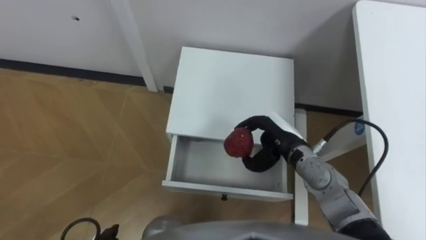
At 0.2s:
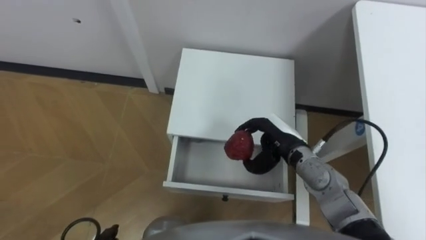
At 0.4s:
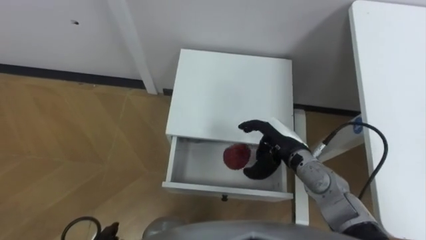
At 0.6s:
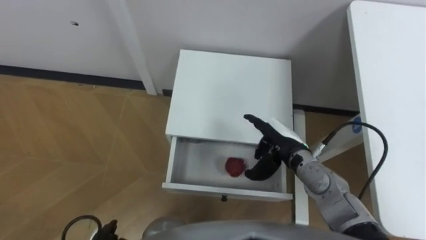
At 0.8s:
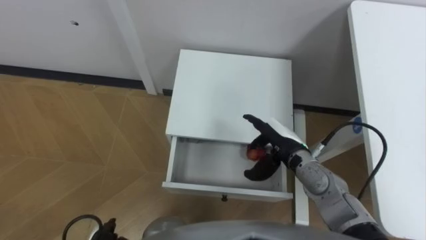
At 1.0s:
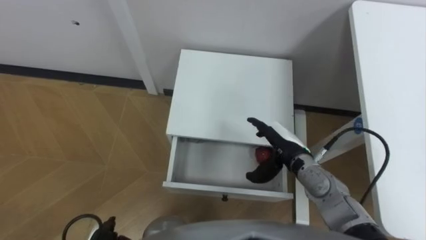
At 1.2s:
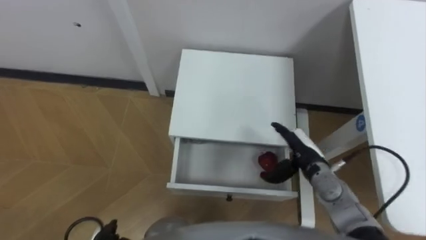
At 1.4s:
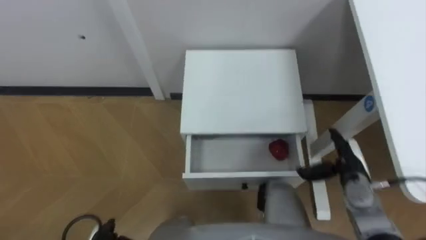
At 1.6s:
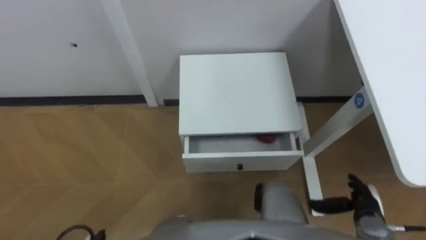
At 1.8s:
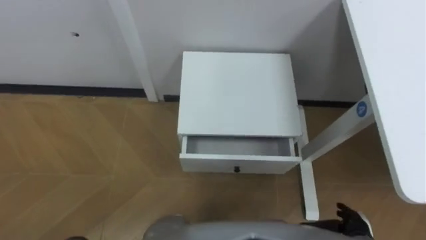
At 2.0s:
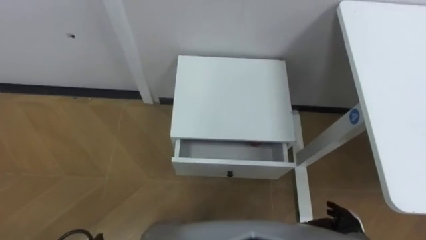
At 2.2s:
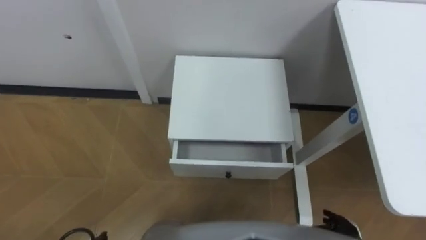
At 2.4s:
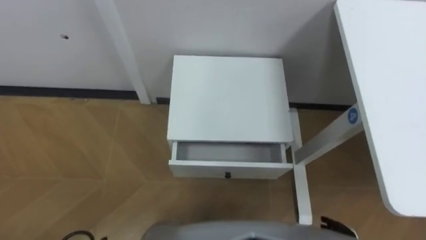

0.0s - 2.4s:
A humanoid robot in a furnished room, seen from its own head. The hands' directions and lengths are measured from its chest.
Task of the whole recording: Pick up the apple from the table, put it in the drawer, and close the drawer with leg.
0.0s - 1.2s: The right hand shifts by approximately 5 cm, and opens.
1.2s - 2.4s: The right hand moves backward, downward and to the right, about 20 cm.

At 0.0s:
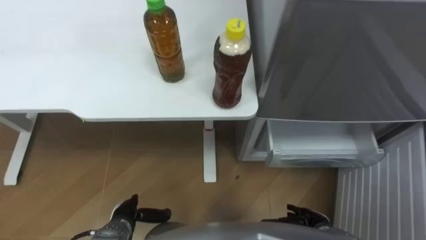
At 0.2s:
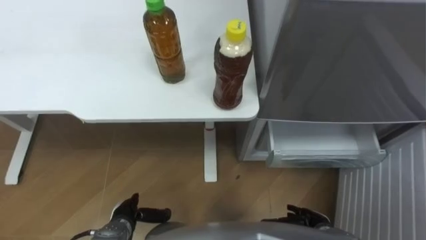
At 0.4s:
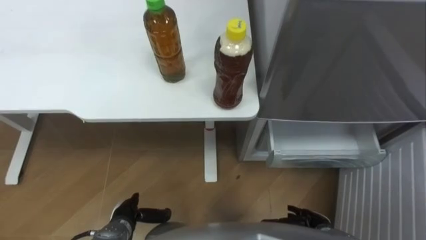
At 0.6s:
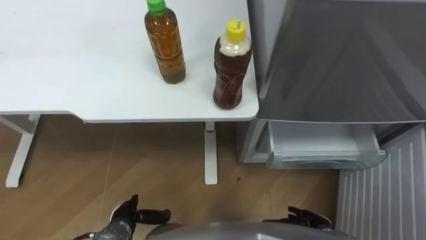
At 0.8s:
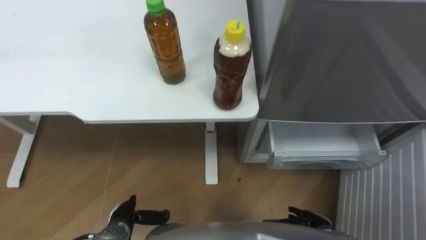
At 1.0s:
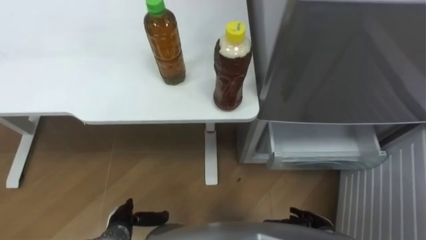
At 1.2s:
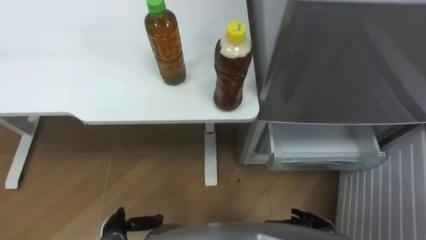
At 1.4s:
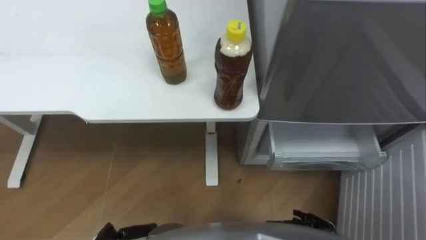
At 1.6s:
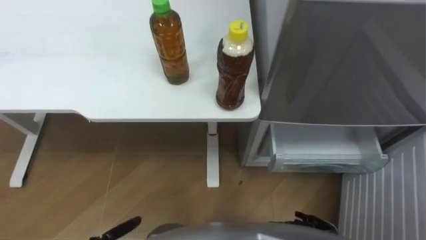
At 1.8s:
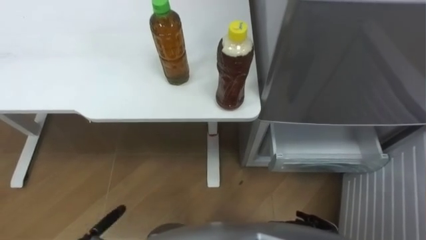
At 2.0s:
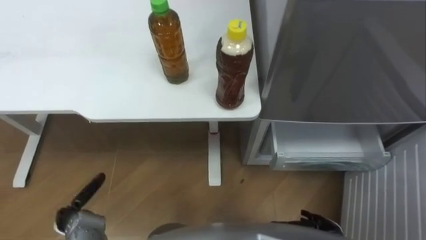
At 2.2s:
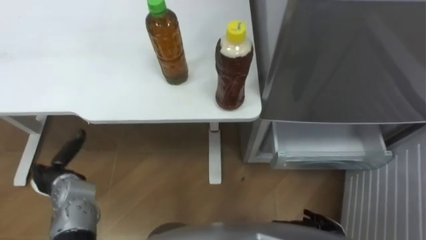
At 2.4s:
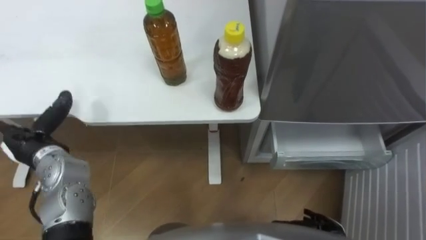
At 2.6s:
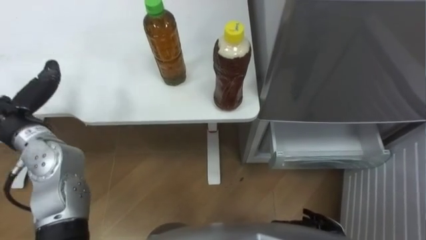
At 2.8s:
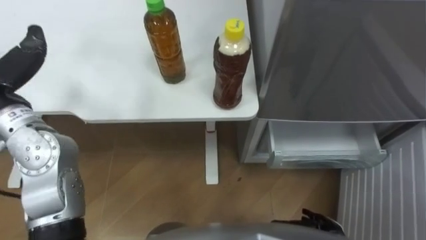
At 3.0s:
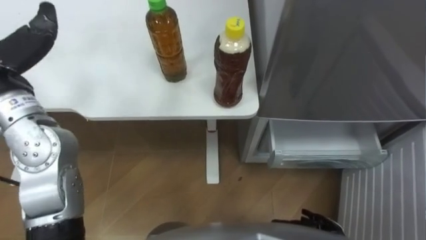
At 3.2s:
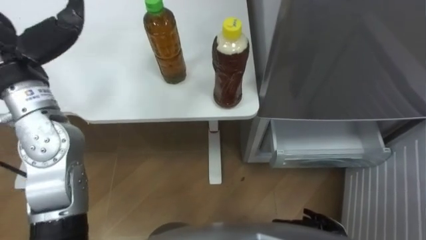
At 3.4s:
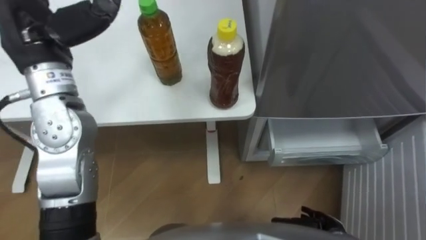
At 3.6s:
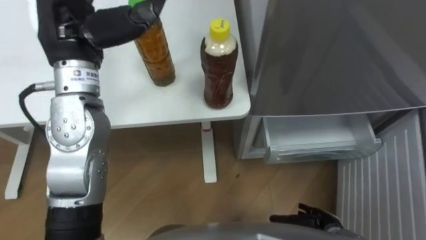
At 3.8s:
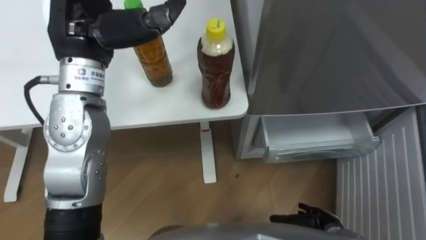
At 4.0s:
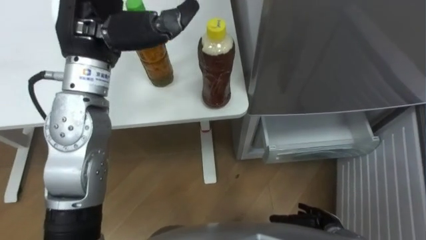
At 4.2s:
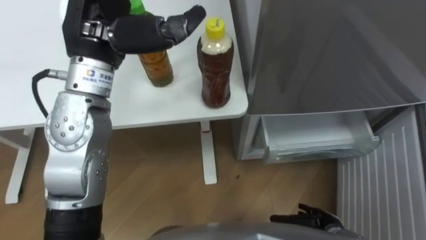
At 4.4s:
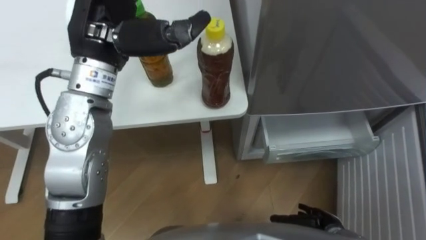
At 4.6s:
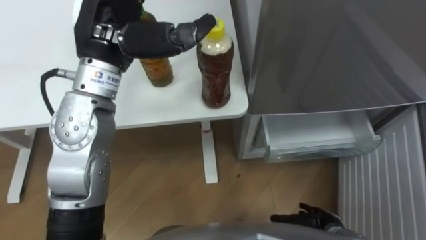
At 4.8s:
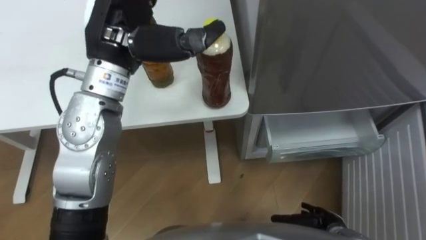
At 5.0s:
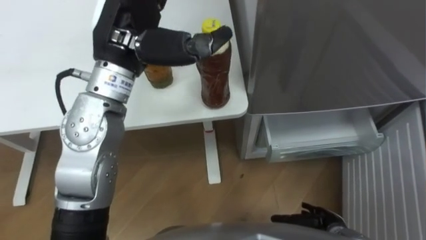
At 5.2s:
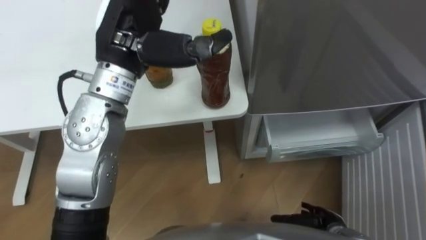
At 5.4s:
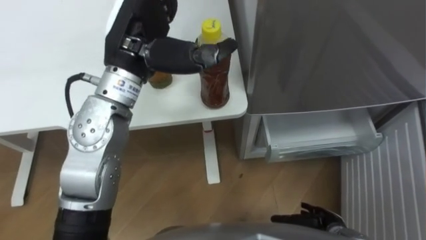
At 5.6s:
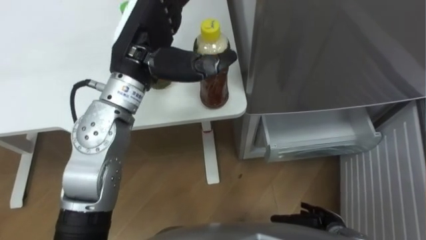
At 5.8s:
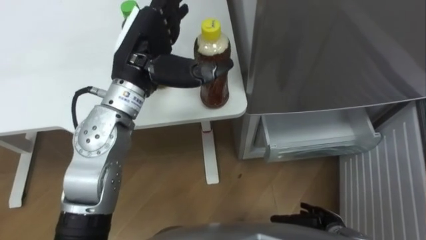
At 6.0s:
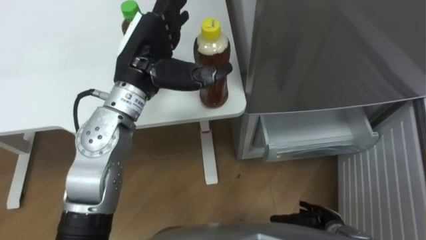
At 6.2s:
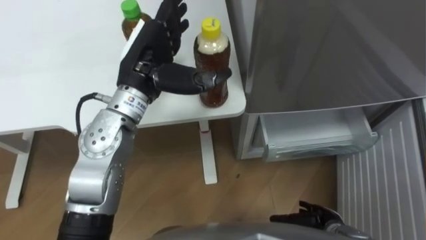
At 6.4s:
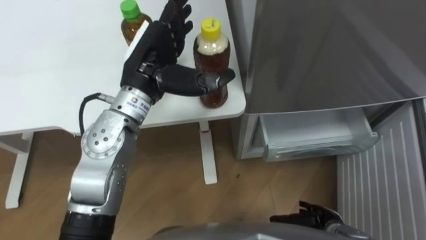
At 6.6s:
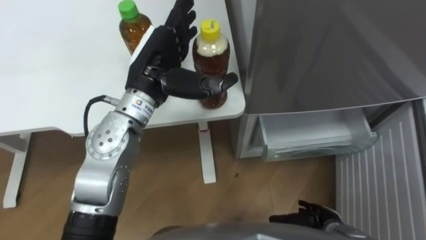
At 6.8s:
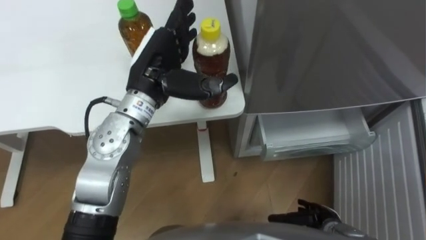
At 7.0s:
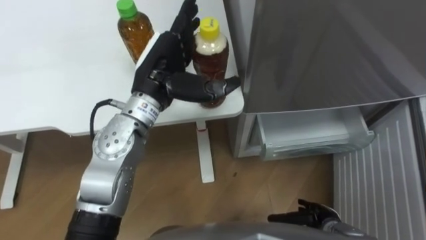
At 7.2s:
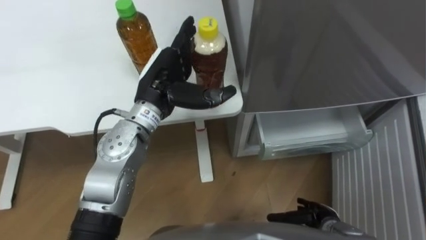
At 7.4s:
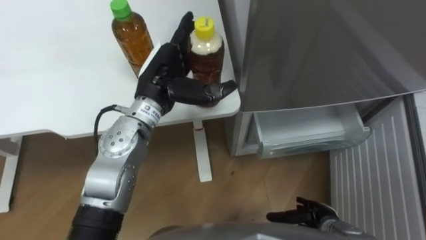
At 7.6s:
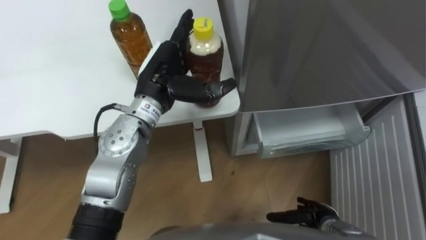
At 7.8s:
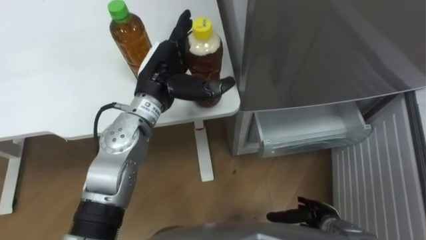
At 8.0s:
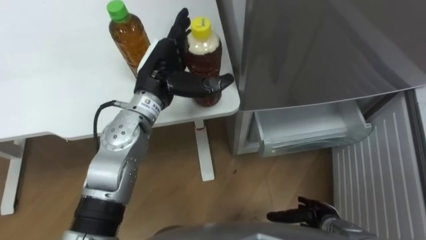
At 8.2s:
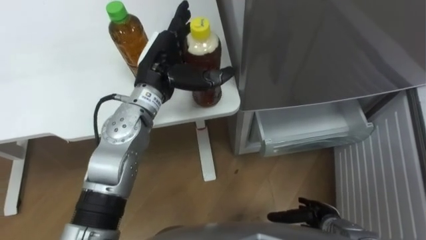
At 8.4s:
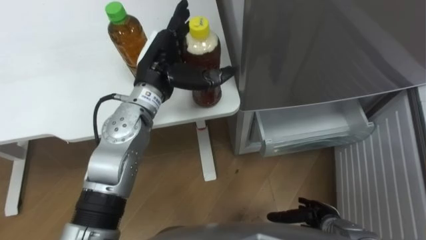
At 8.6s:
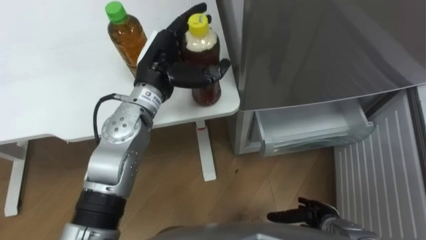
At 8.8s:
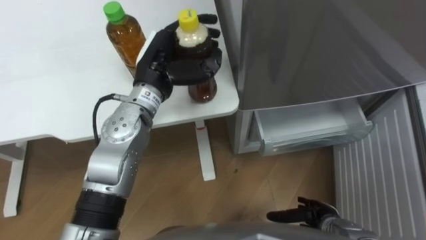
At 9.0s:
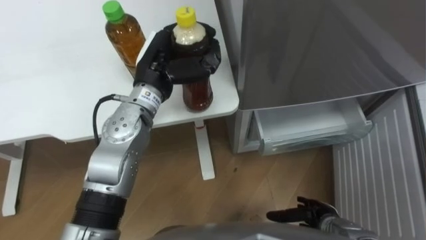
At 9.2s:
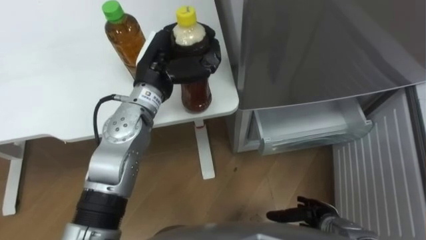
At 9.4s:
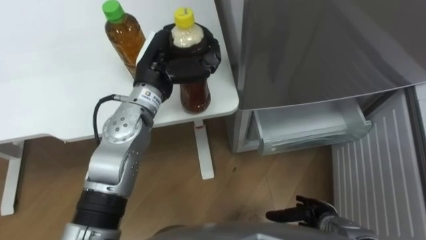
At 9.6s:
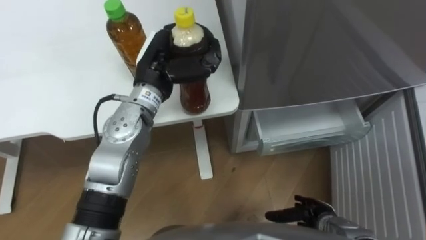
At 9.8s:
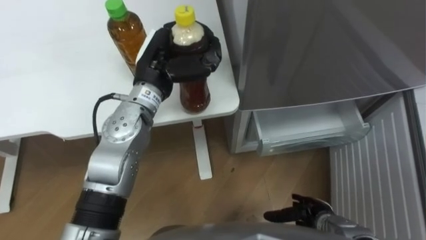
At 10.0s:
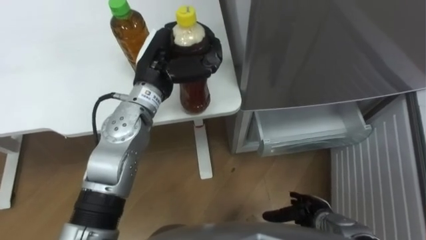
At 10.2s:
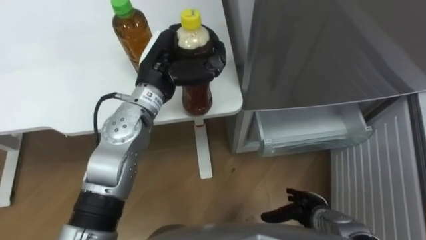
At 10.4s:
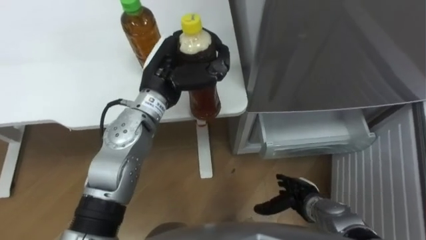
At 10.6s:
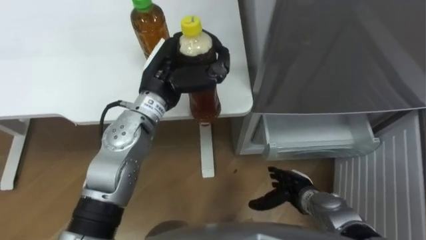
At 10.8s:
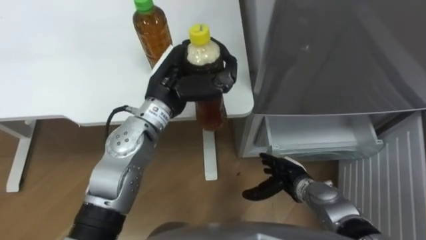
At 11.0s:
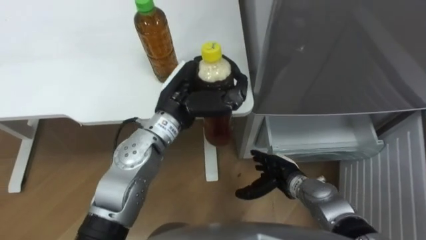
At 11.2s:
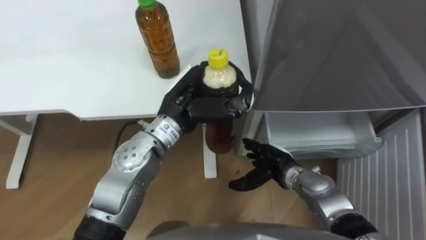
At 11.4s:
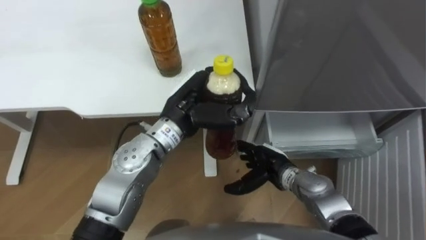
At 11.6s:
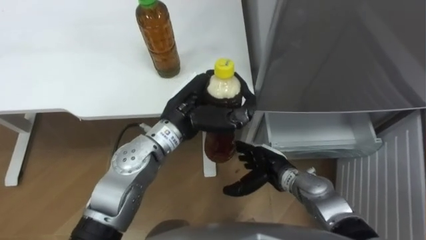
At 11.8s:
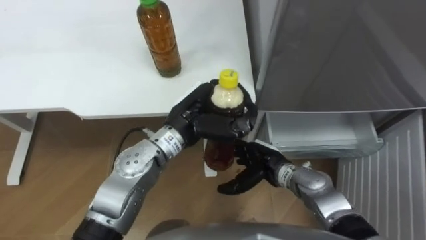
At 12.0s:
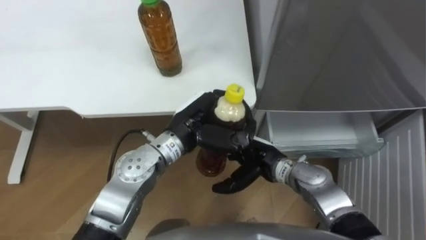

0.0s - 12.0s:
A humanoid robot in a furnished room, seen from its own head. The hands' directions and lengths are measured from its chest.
Task of the whole recording: Place the drink on the table on the bottom shelf of the refrigerator, then close the drawer and the refrigerator door.
4.4s - 6.0s: The left hand is displaced downward by approximately 5 cm.
6.0s - 7.6s: The left hand is displaced downward by about 5 cm.
7.6s - 9.0s: The left hand closes.
9.0s - 10.4s: The right hand ends up roughly 5 cm from where it was.
10.4s - 12.0s: The left hand travels backward and downward by approximately 10 cm; the right hand goes approximately 15 cm to the left, upward and forward.

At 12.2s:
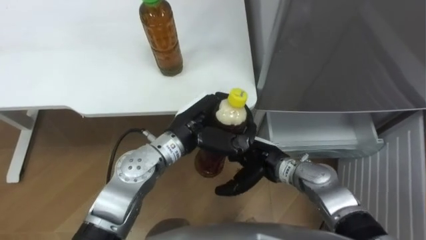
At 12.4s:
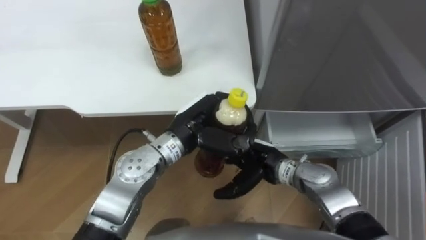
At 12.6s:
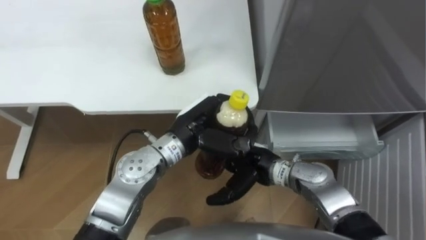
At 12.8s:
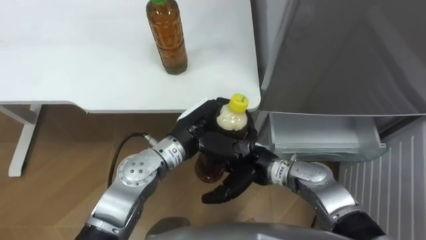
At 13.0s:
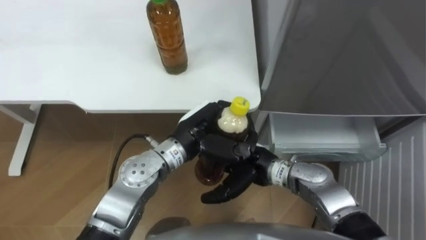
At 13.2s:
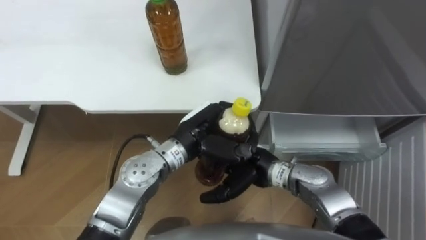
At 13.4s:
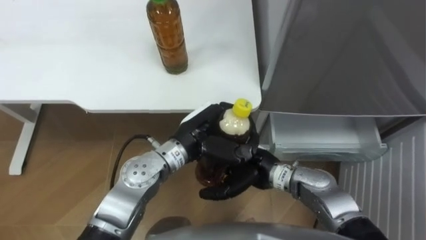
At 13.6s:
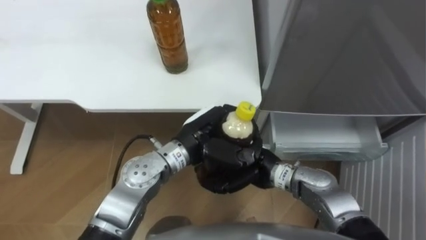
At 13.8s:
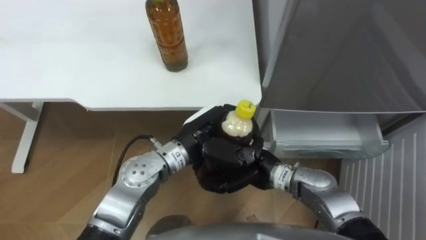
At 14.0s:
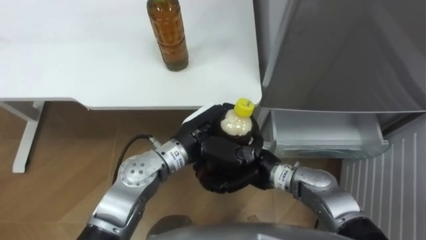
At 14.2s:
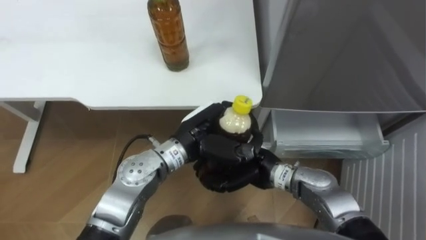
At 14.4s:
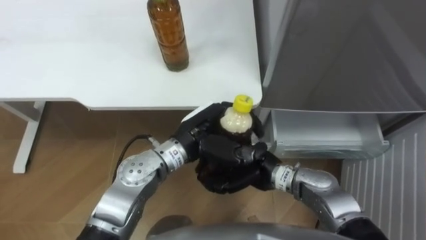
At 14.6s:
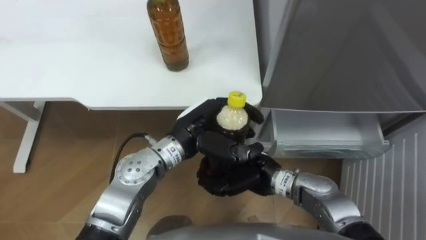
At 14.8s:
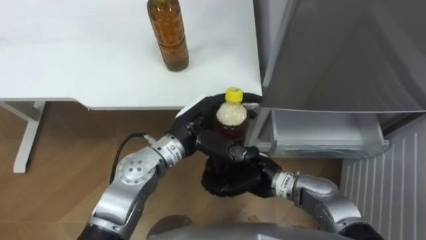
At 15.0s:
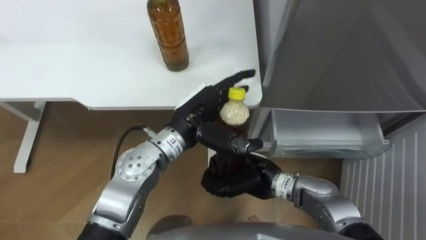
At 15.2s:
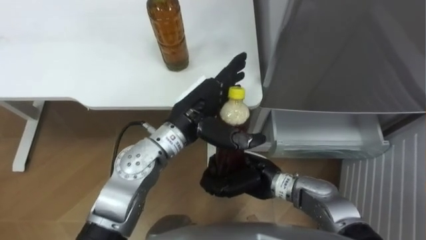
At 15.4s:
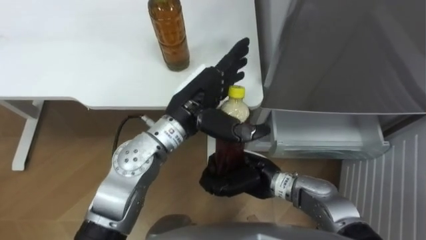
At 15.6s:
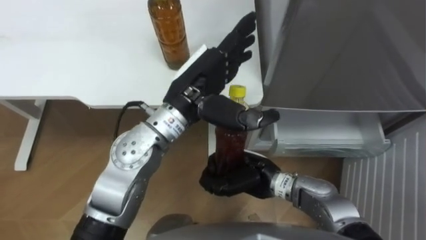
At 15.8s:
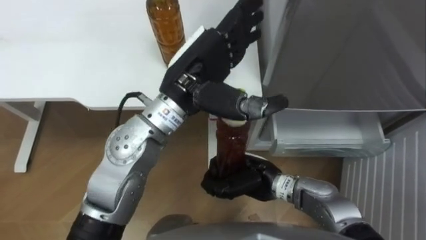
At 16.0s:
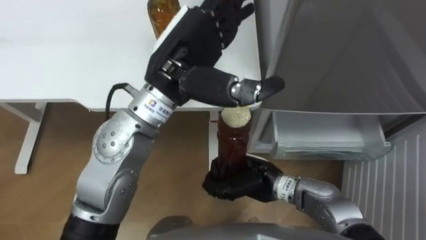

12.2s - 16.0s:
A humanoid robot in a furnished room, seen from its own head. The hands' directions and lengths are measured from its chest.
Task of the whole recording: Place the drink on the table on the bottom shelf of the refrigerator, then close the drawer and the refrigerator door.
12.2s - 13.4s: The hands move only a little.
13.4s - 14.8s: The right hand closes its fingers, while the left hand opens.
14.8s - 16.0s: The left hand shifts some 15 cm upward.
